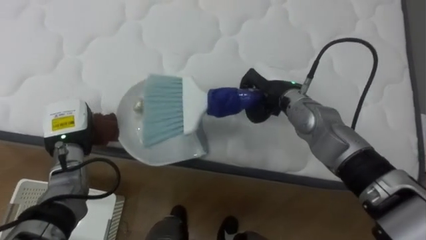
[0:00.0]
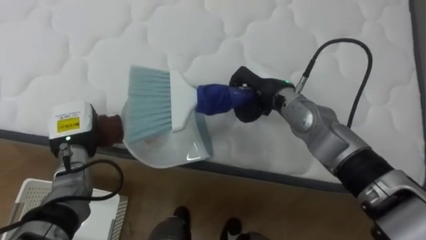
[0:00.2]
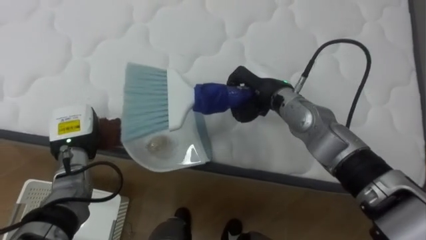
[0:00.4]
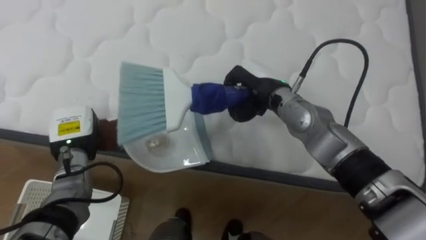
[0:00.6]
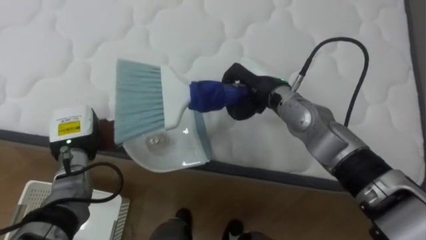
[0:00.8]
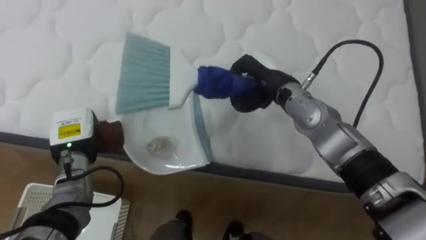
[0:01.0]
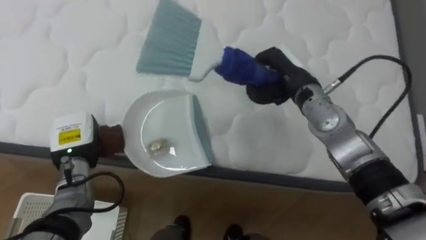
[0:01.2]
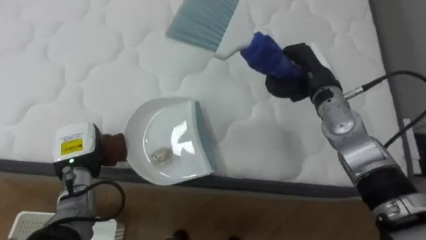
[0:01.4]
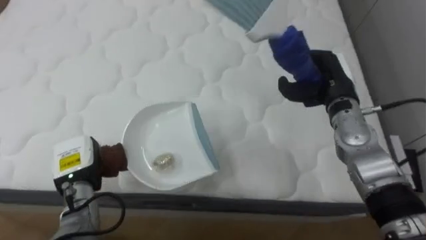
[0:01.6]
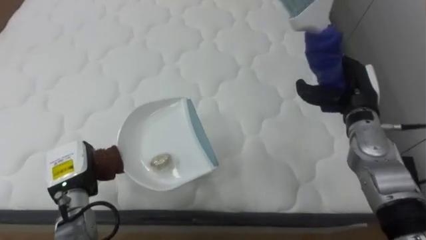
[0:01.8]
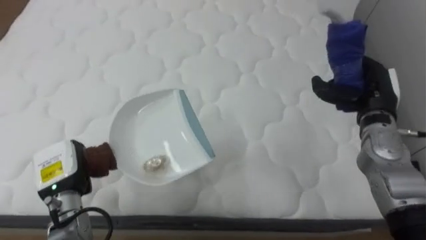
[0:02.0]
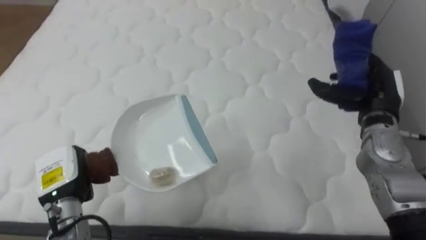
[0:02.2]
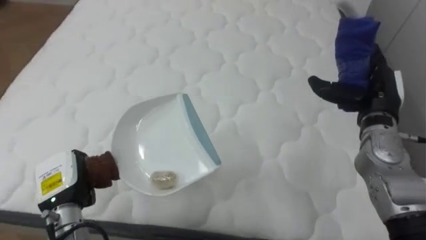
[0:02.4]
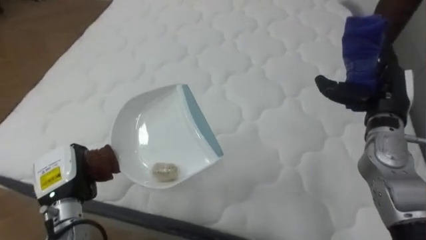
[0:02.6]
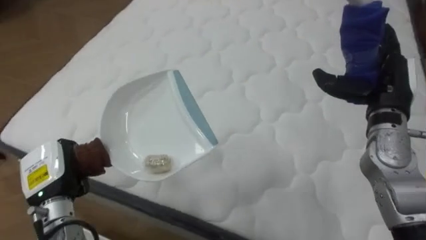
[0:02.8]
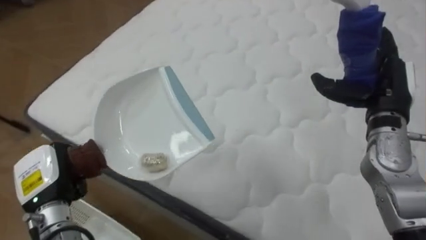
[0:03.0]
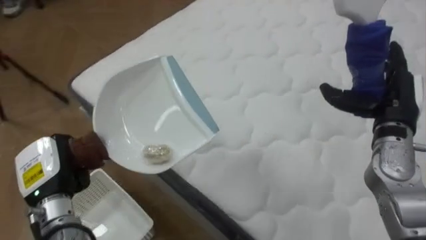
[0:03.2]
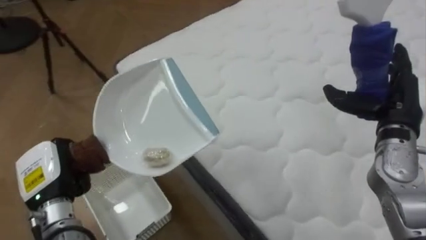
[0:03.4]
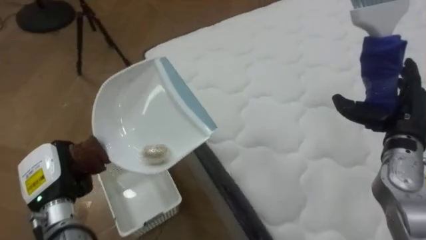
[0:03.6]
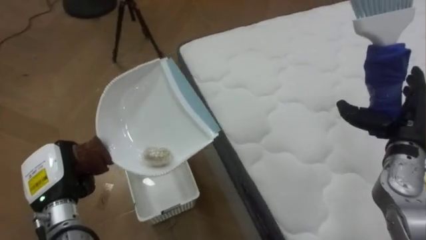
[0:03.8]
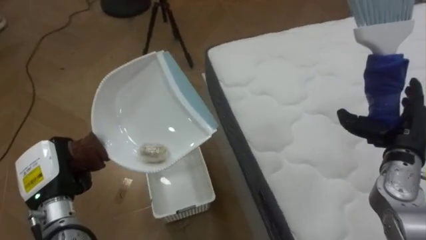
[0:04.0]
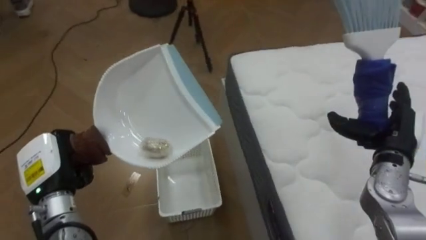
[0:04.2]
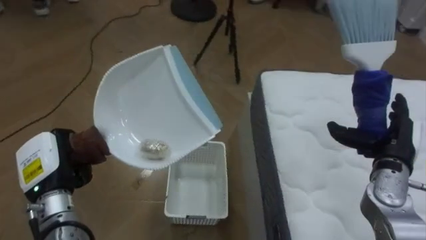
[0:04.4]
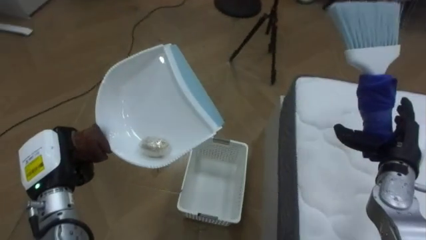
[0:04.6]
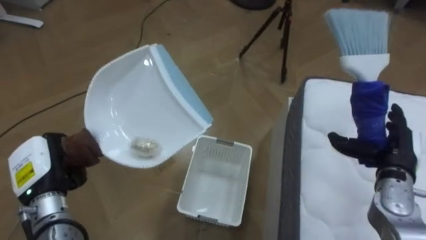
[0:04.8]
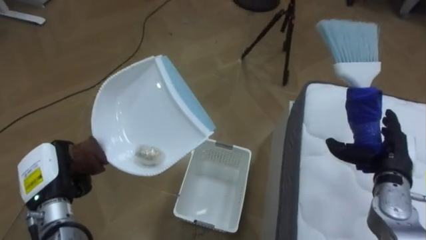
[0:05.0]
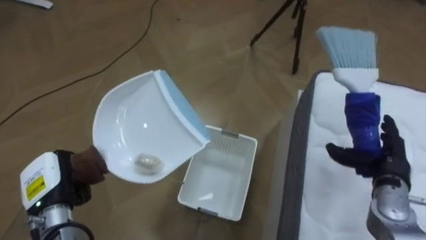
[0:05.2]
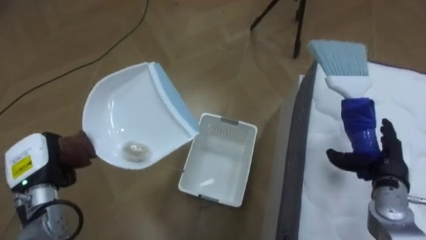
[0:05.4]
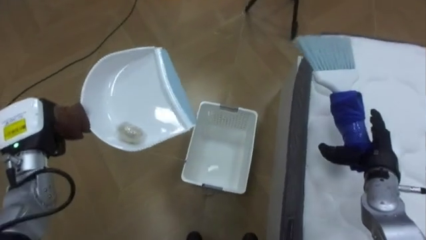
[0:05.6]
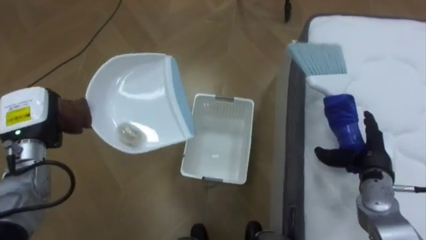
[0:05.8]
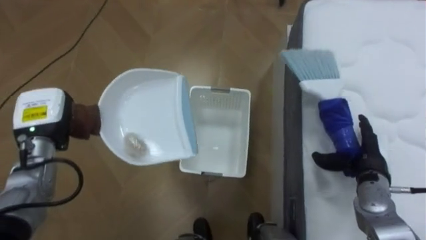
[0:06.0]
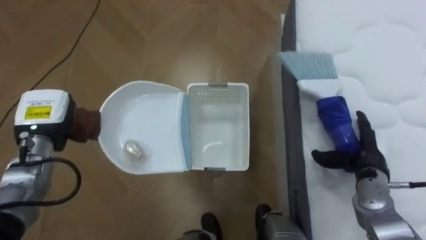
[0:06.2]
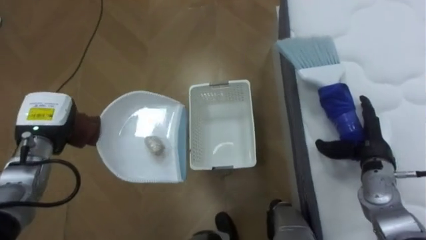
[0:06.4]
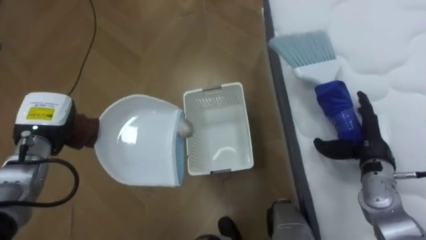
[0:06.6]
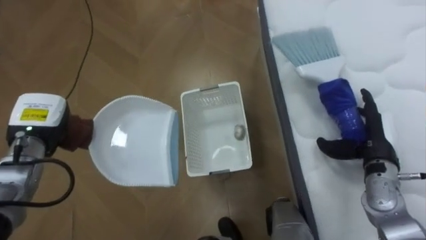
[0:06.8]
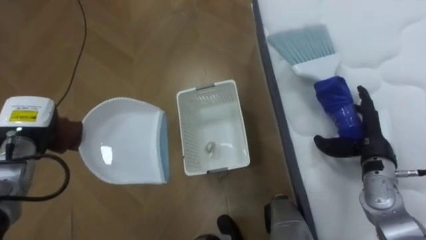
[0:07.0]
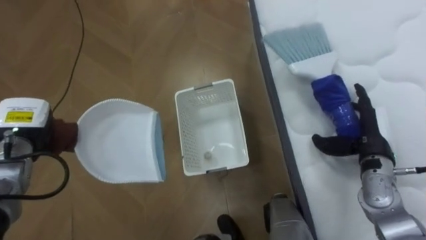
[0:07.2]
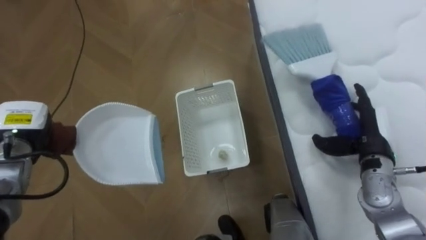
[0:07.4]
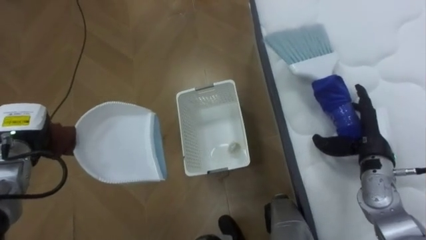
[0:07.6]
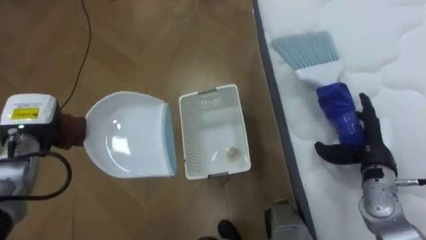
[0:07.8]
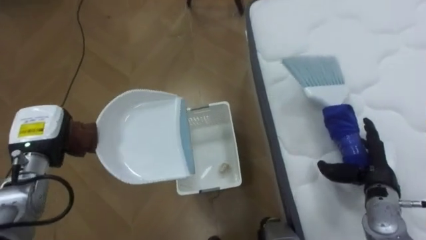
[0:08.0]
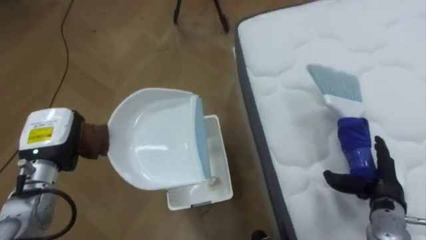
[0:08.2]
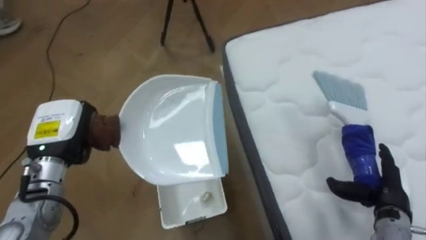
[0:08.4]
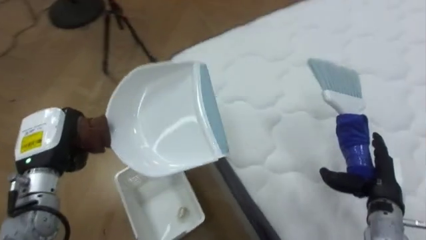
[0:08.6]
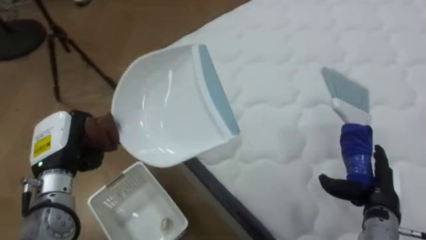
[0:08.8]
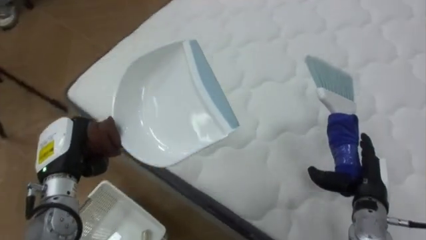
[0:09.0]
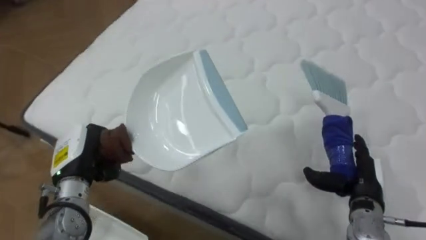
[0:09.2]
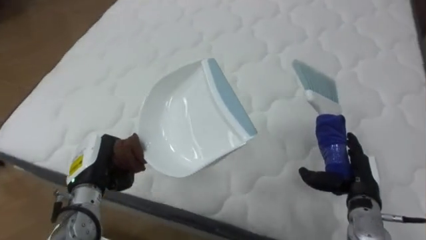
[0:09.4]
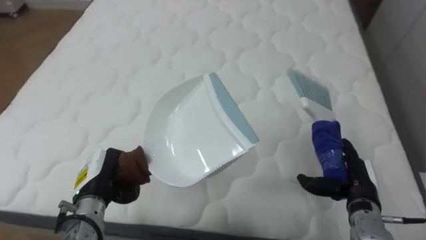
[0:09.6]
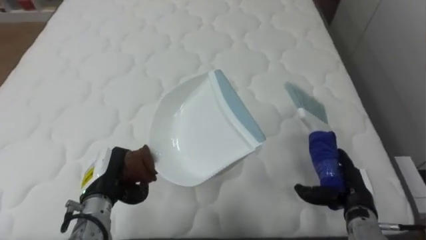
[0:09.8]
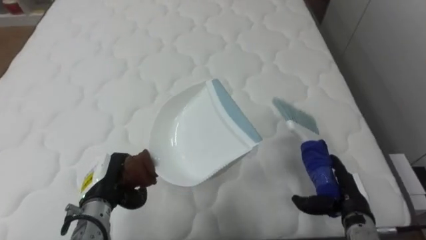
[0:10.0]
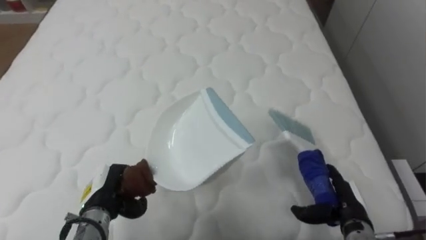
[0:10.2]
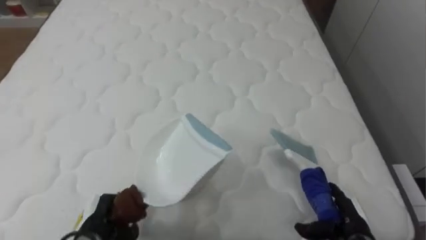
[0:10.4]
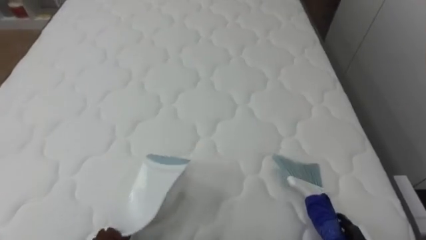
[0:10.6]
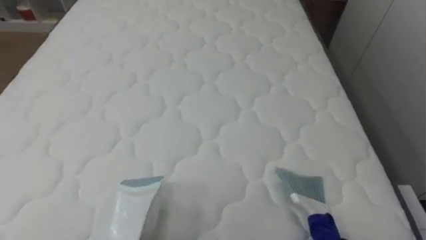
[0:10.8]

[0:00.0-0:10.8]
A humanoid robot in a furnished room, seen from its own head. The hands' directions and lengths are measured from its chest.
Task of the whole recording: Pick up the brush on your right and the dustpan on your left. Use the brush to sweep the crumpled paper on the bed into the dustpan, then turn left and empty it into the basket.
0:00.0 to 0:01.6: The left hand goes approximately 5 cm downward and backward. The right hand goes approximately 10 cm to the right.
0:01.6 to 0:03.0: The robot's body swings roughly 20 degrees to its left. The right hand shifts about 10 cm to the right and backward, and opens, while the left hand travels backward by approximately 5 cm.
0:03.0 to 0:04.6: The robot rotates some 75 degrees to its left. The right hand goes roughly 10 cm downward and backward.
0:04.6 to 0:06.2: The right hand heads downward, covering about 5 cm; the left hand moves forward, some 10 cm.
0:07.8 to 0:09.2: The robot rotates approximately 70 degrees to its right. The left hand heads to the right and backward, covering some 10 cm. The right hand moves backward, about 5 cm.
0:09.2 to 0:10.8: The robot rotates roughly 30 degrees to its right.

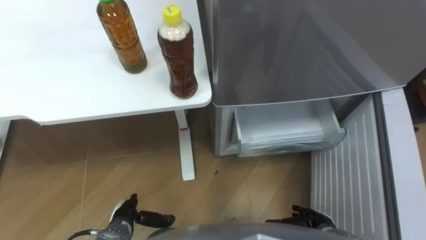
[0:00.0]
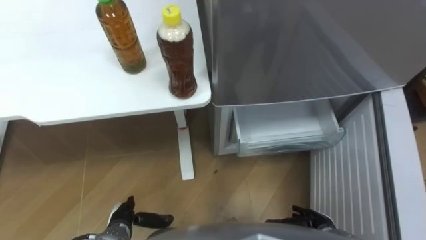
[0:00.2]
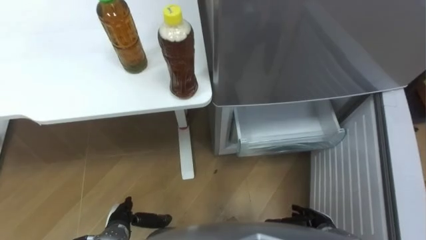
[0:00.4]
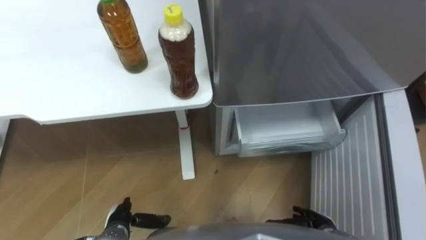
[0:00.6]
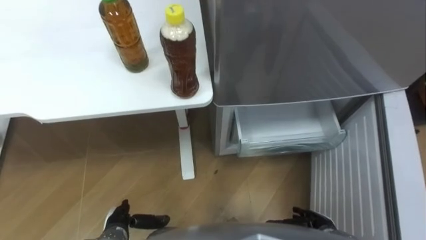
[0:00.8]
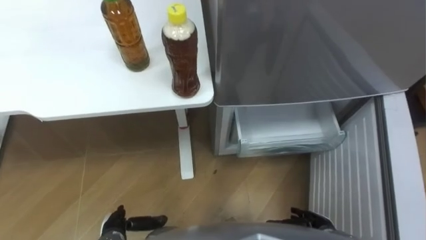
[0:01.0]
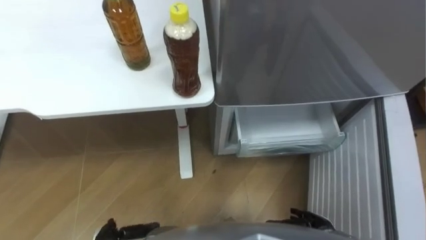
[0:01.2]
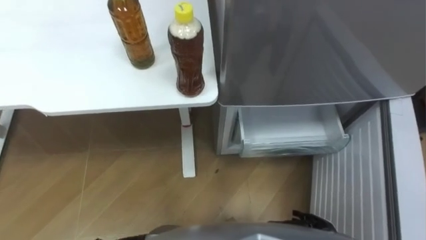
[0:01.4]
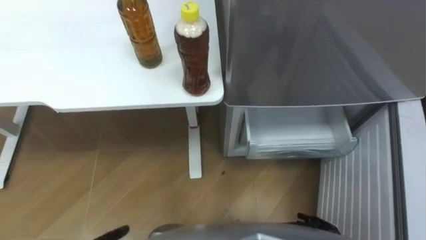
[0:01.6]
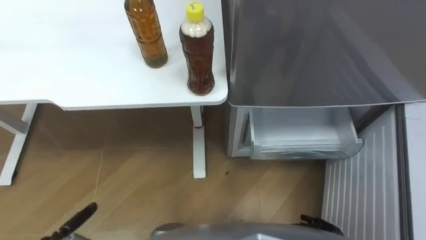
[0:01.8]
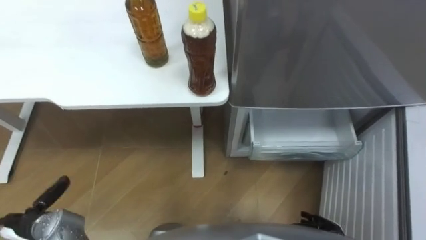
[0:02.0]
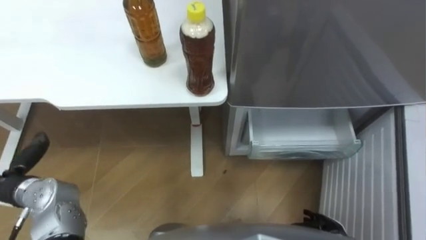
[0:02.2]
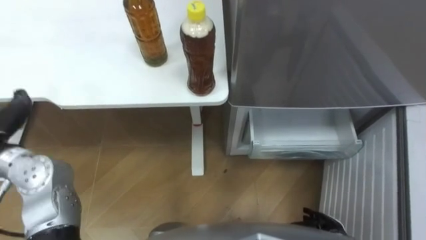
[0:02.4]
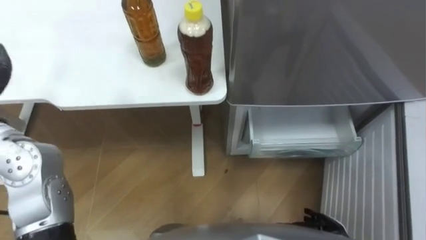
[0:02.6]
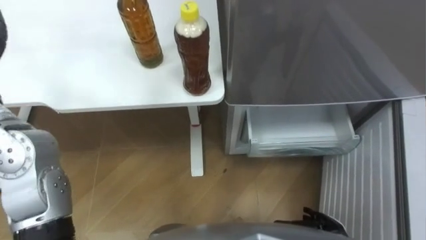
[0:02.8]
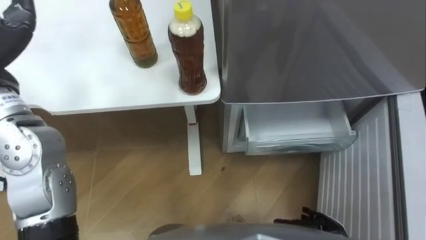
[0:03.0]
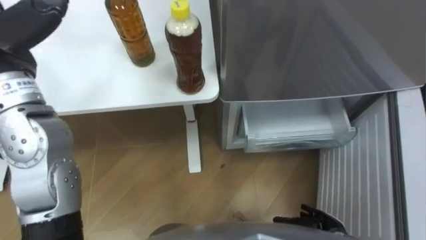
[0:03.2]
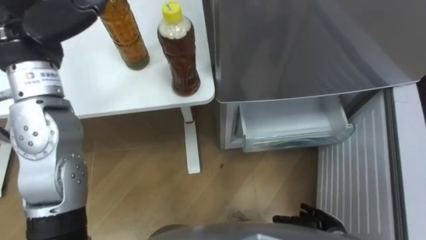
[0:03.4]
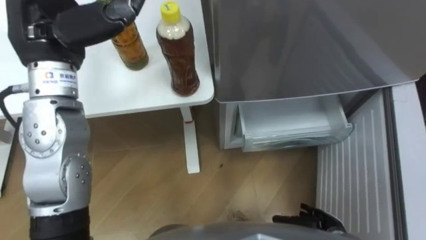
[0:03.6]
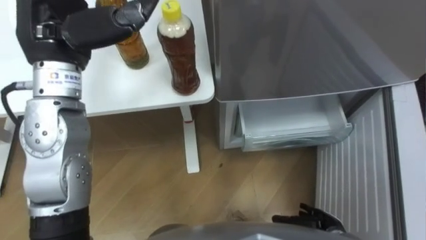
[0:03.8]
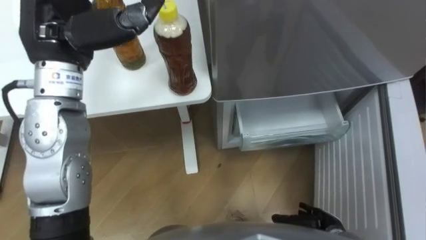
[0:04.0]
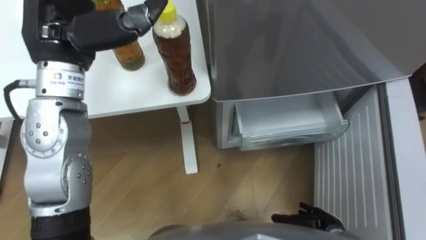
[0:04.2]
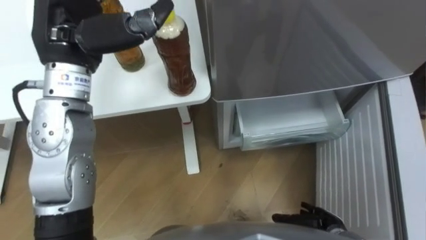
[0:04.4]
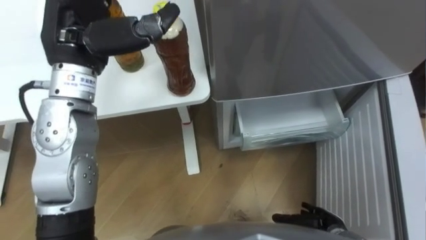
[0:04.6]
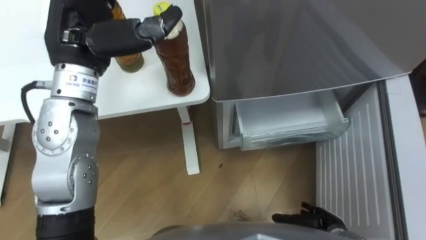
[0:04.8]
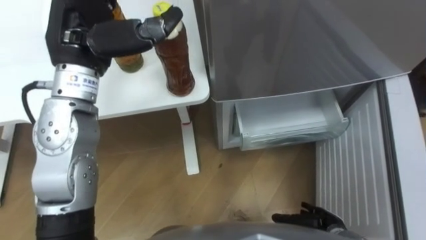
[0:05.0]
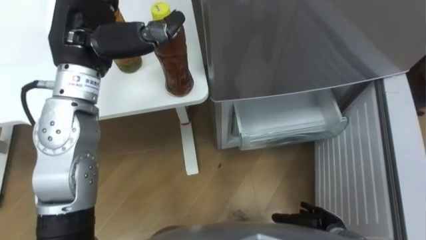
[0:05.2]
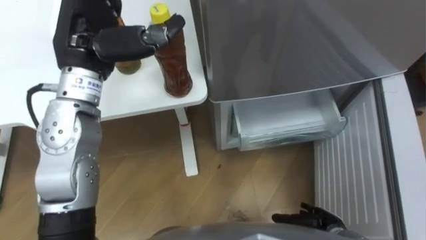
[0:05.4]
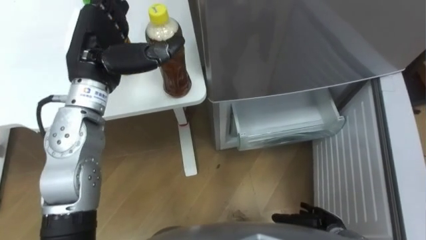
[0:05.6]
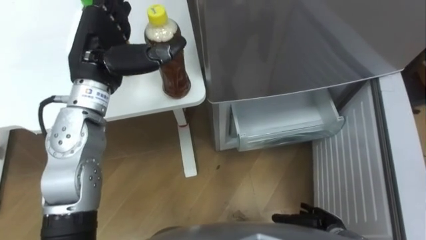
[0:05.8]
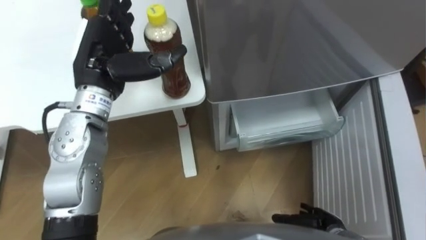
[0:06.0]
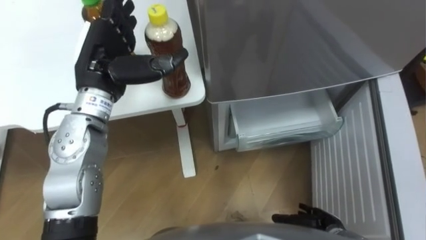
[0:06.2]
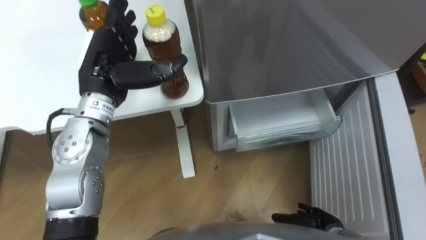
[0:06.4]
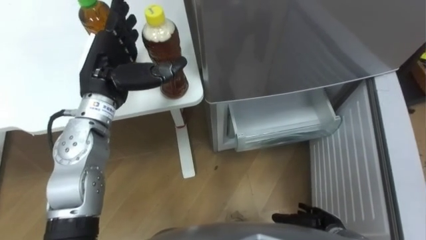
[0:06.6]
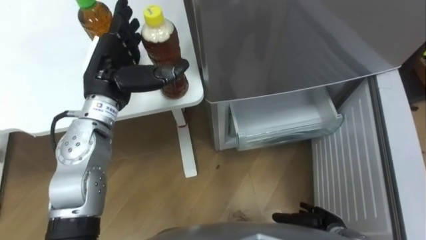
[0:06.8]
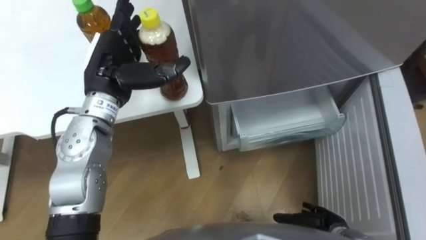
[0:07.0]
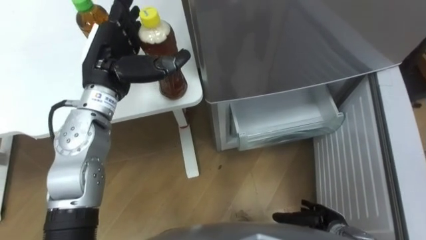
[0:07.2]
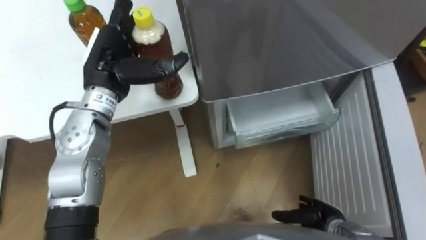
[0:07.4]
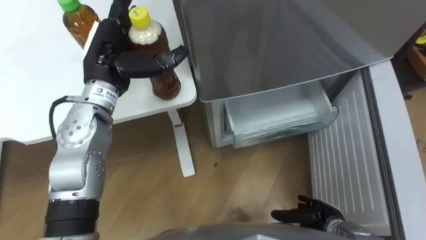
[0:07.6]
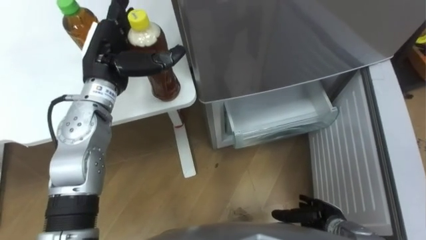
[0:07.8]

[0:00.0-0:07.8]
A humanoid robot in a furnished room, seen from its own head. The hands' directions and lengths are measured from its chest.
Task of the whole recording: Place the drink on the table on the bottom shelf of the refrigerator, then close the drawer and the refrigerator door.
0:04.6 to 0:06.2: The left hand heads downward, covering some 5 cm.
